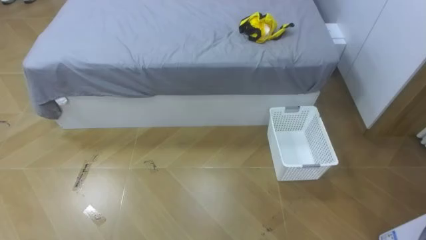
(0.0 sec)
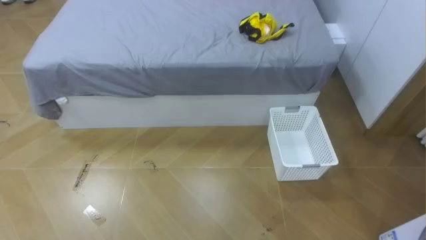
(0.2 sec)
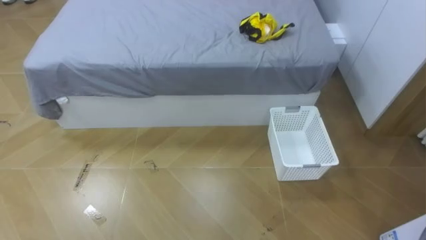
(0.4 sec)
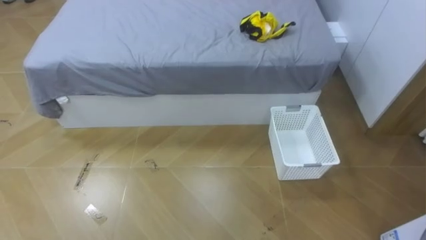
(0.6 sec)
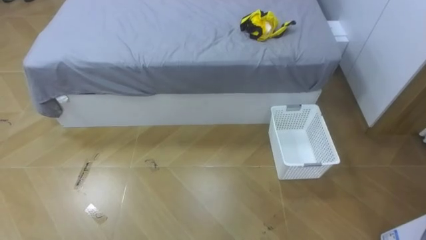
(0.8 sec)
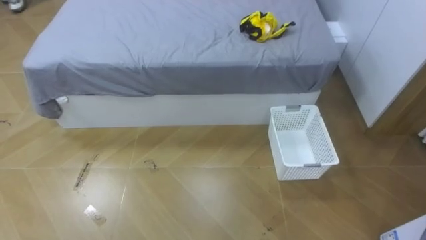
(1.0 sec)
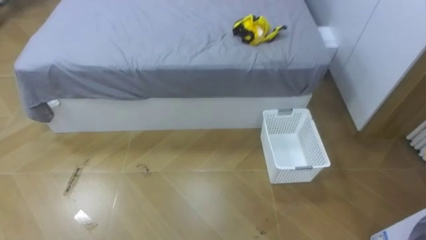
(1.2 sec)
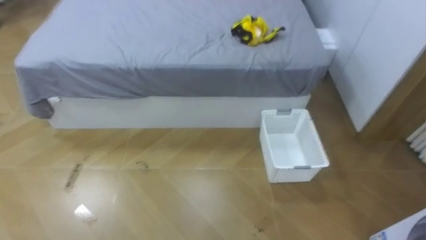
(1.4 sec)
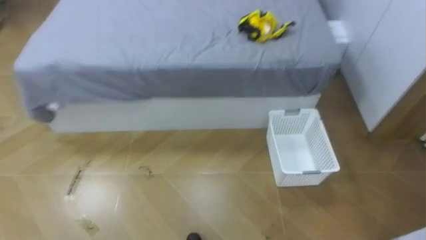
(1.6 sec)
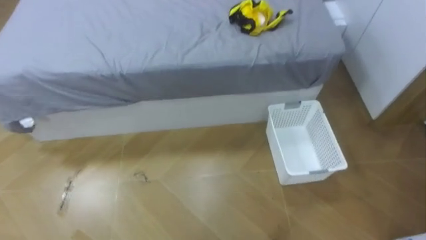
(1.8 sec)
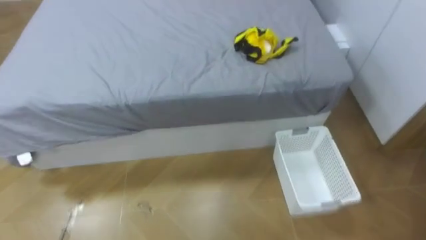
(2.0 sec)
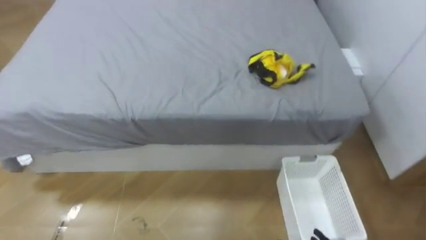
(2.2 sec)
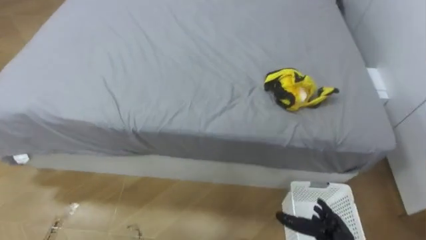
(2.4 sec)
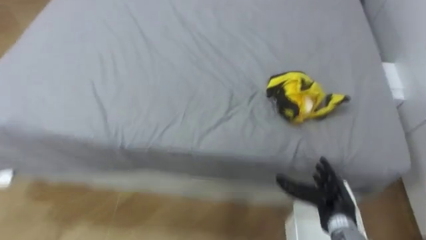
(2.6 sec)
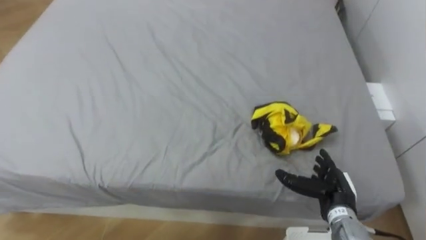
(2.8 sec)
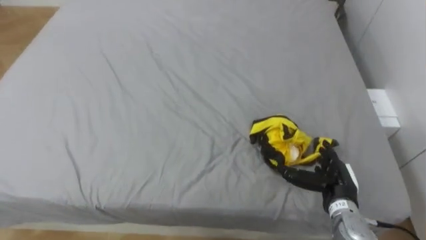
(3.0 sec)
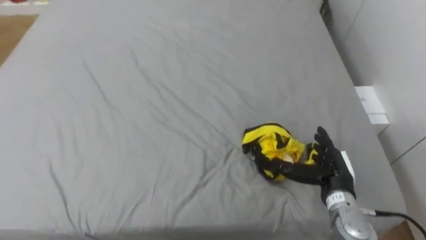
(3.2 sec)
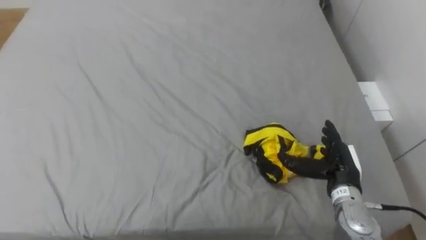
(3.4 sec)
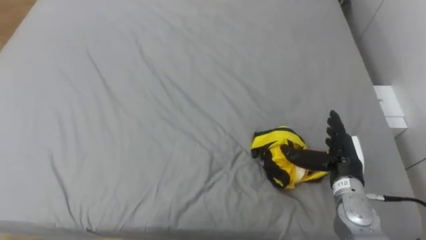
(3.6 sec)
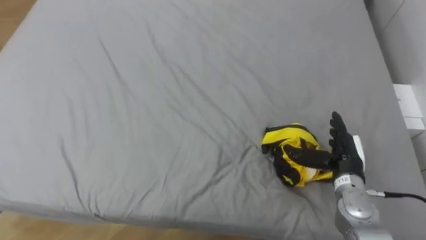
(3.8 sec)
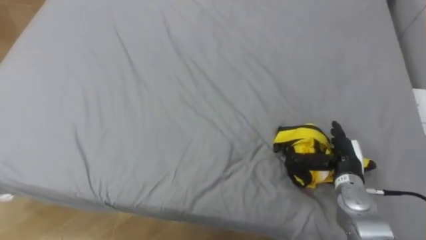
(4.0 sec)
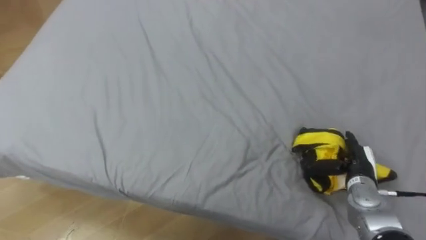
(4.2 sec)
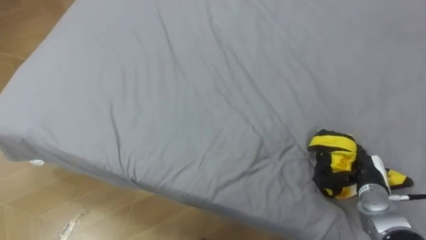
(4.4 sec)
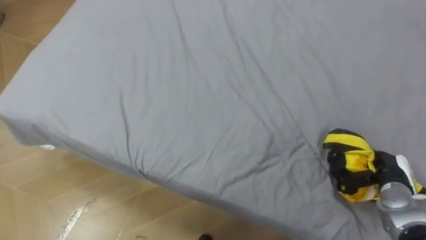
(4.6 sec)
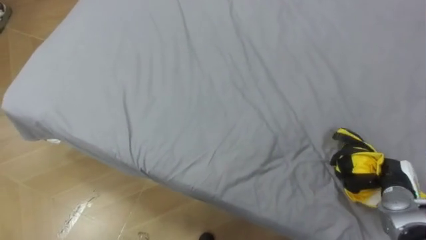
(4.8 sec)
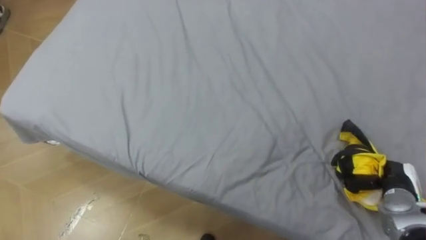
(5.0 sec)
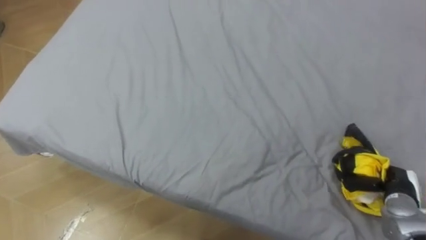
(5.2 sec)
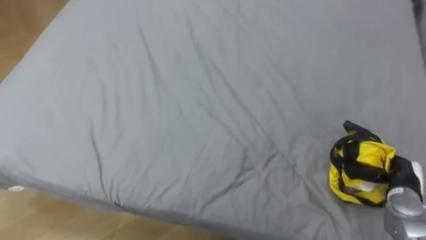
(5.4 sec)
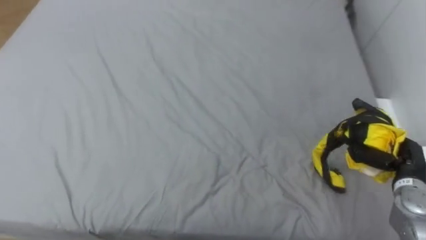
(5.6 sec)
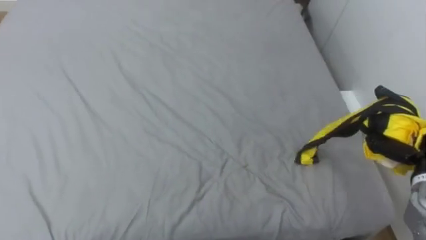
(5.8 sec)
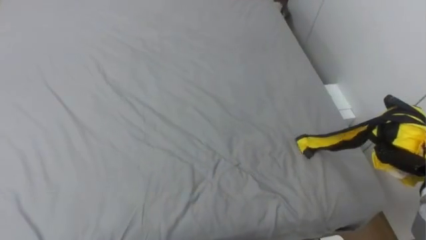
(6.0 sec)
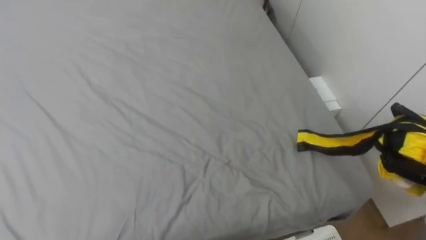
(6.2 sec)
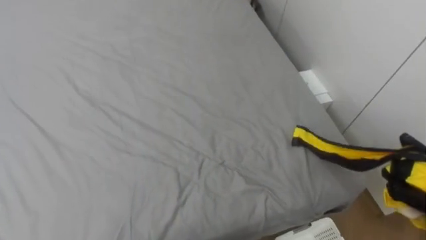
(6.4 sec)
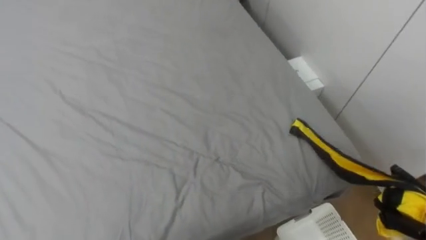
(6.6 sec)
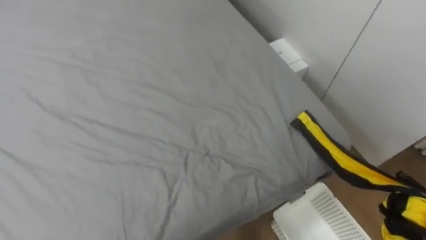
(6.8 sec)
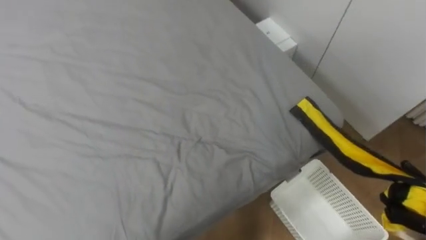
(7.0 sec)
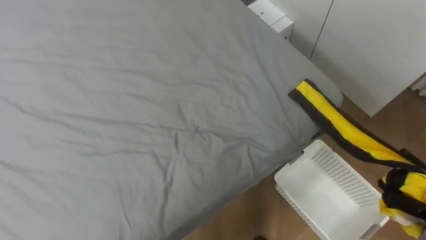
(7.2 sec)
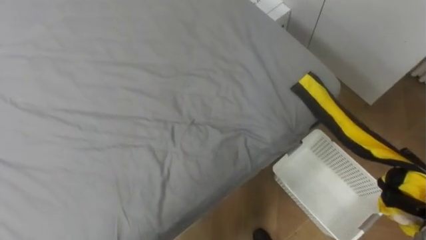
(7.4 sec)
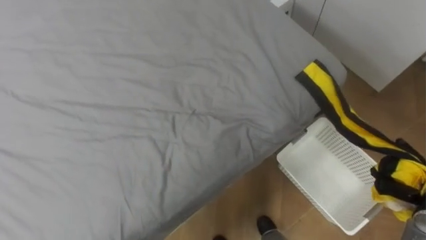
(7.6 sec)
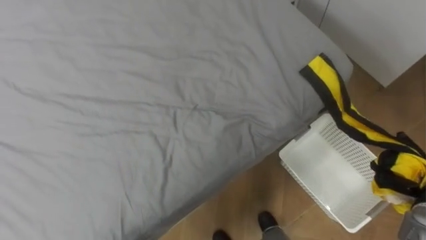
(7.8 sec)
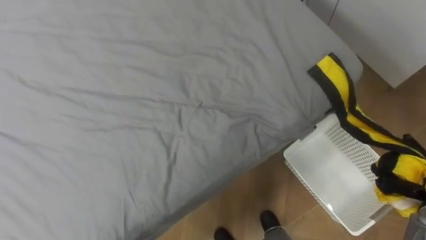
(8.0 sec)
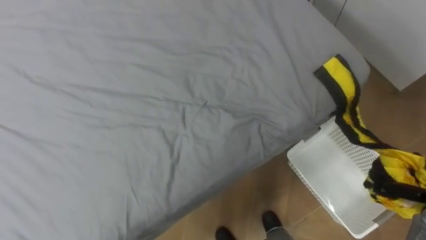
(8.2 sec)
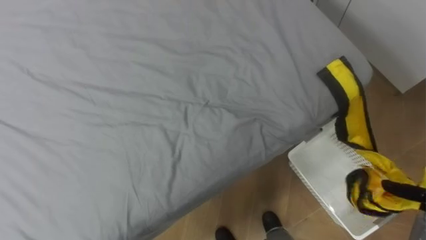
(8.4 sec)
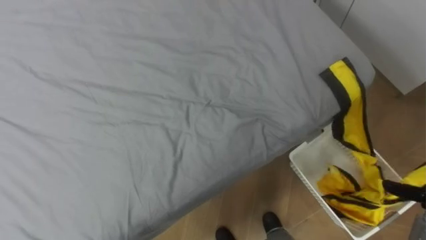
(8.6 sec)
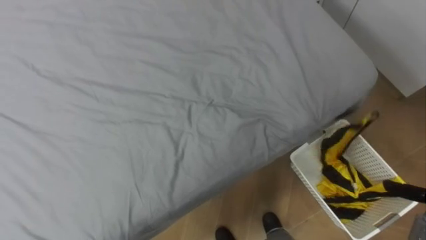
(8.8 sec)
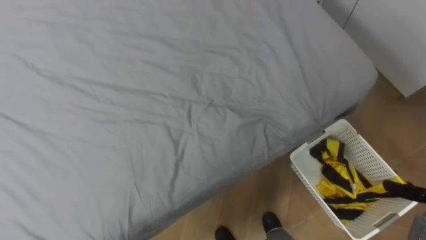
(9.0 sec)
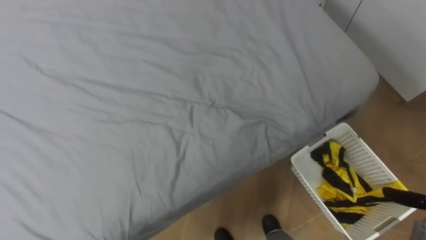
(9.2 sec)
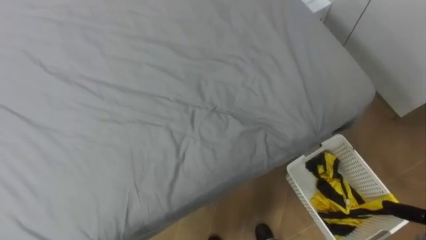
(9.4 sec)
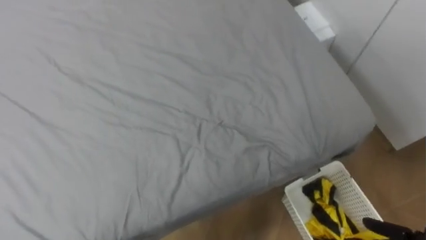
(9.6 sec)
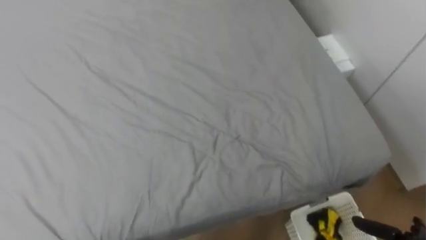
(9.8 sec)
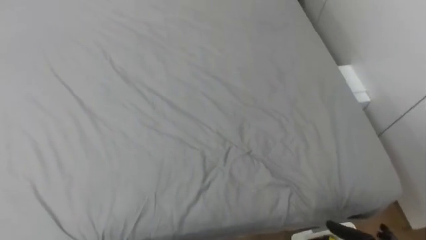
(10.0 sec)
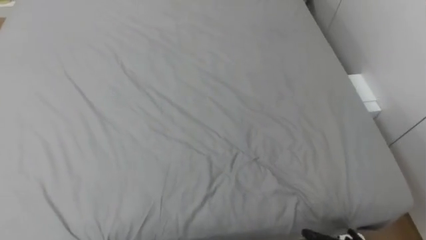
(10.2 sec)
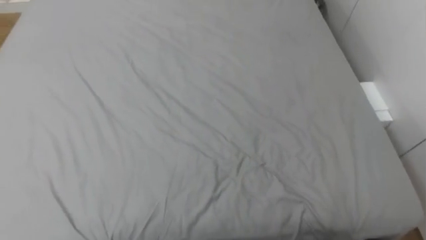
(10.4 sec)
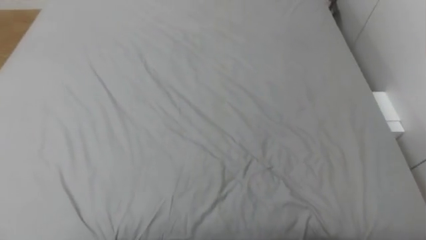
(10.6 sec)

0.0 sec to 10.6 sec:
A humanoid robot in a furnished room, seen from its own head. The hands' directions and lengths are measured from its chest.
Task of the whole recording: Pick up the yellow clothes on the bed and place them into the white basket on the right.
3.0 sec to 4.6 sec: The right hand is displaced to the right by some 10 cm.
6.0 sec to 7.6 sec: The robot's body swings about 15 degrees to its right.
9.0 sec to 10.6 sec: The robot turns to its left by roughly 20 degrees.

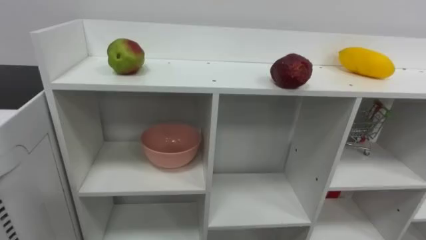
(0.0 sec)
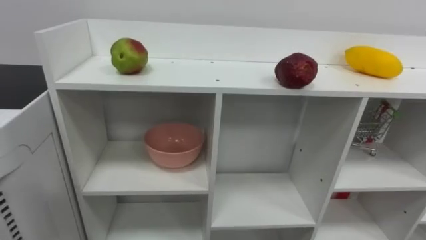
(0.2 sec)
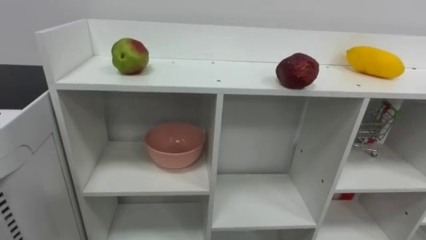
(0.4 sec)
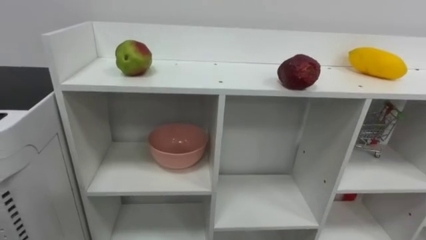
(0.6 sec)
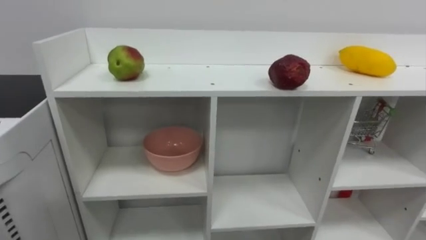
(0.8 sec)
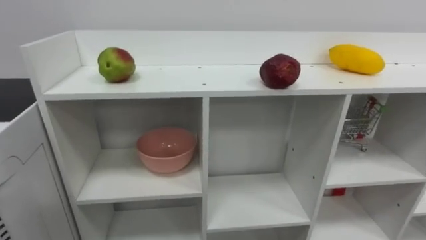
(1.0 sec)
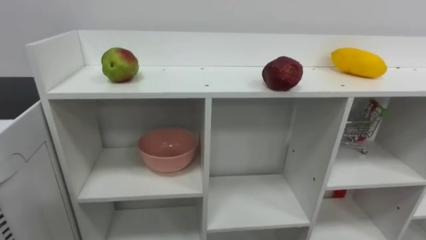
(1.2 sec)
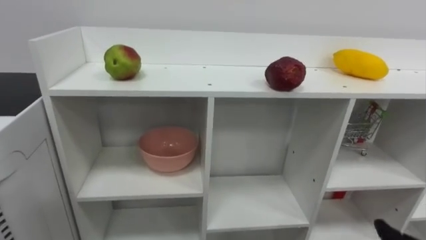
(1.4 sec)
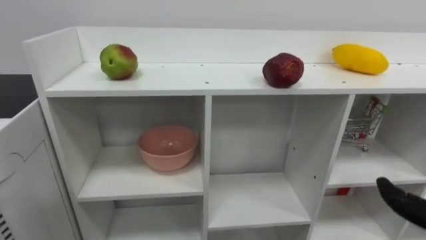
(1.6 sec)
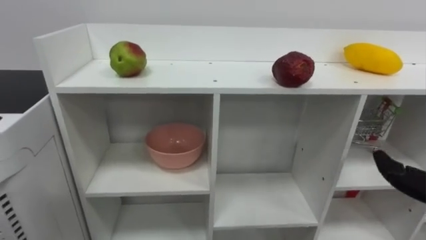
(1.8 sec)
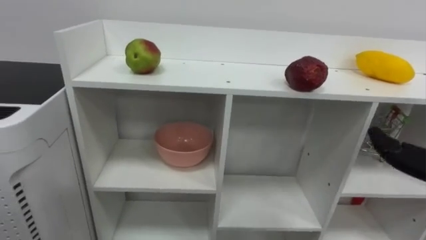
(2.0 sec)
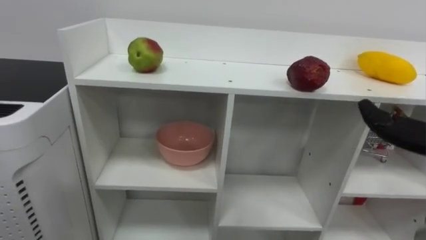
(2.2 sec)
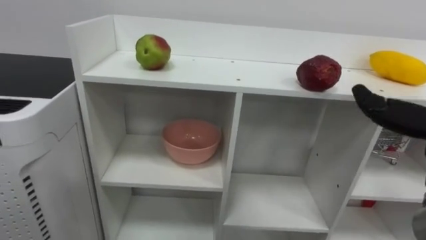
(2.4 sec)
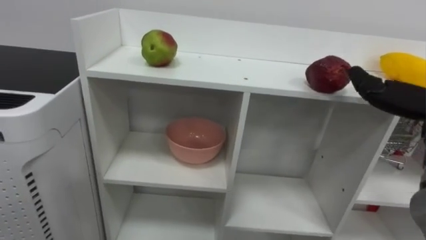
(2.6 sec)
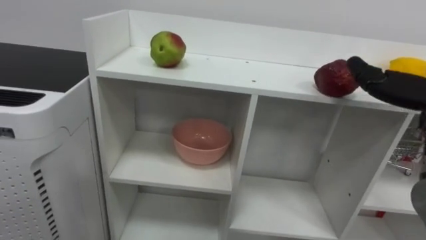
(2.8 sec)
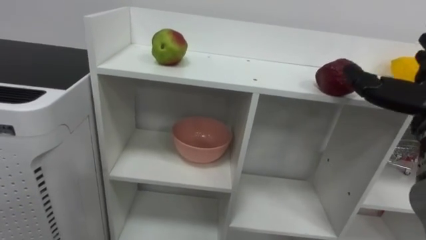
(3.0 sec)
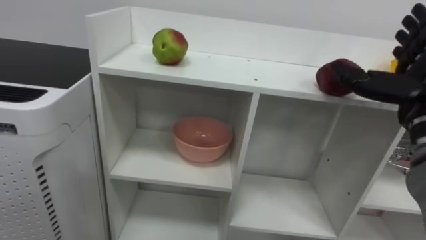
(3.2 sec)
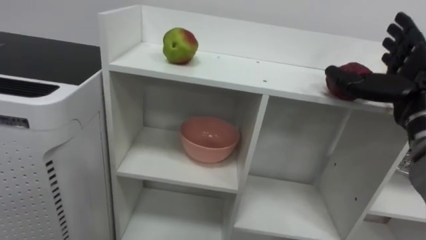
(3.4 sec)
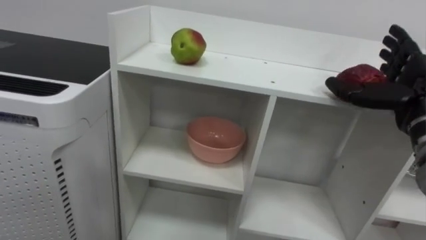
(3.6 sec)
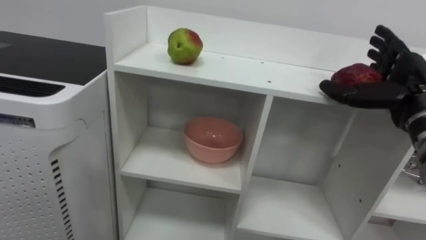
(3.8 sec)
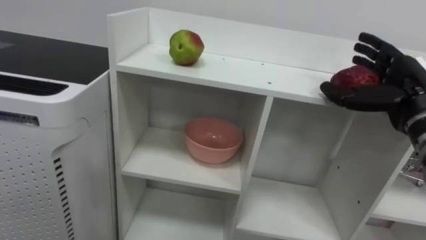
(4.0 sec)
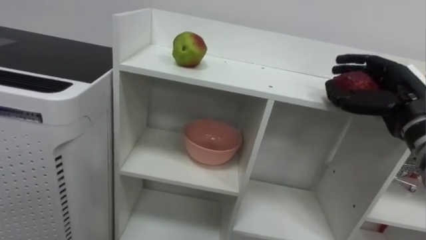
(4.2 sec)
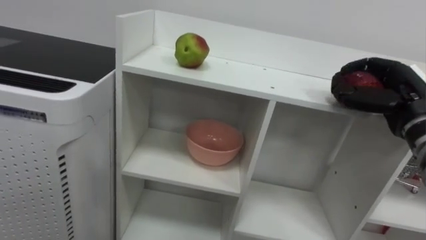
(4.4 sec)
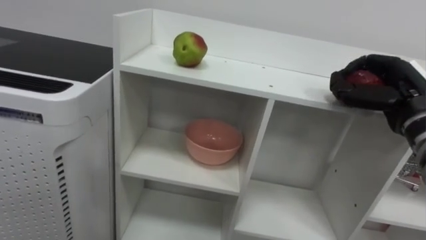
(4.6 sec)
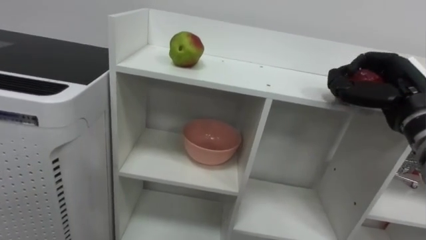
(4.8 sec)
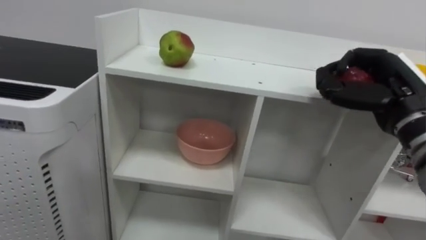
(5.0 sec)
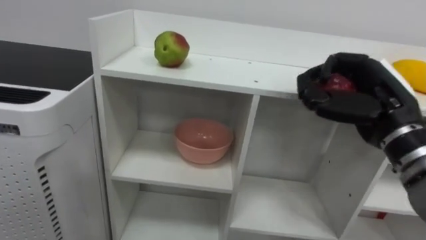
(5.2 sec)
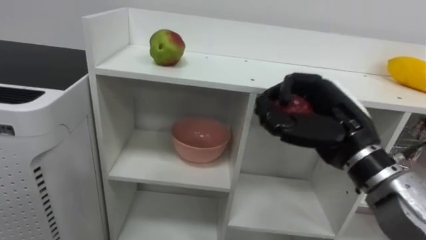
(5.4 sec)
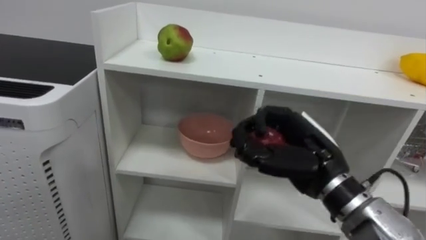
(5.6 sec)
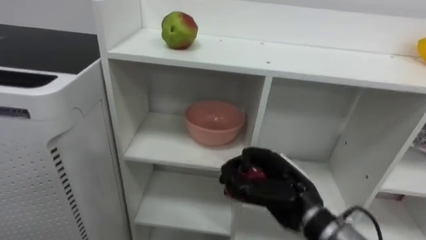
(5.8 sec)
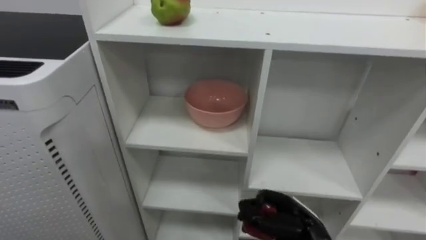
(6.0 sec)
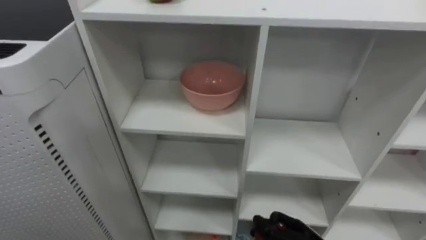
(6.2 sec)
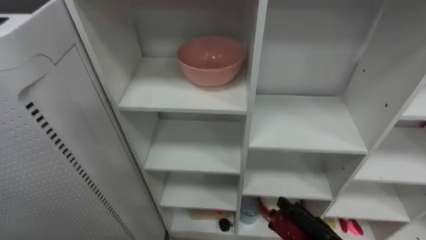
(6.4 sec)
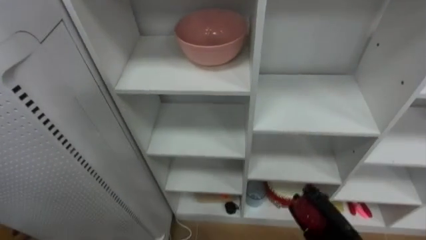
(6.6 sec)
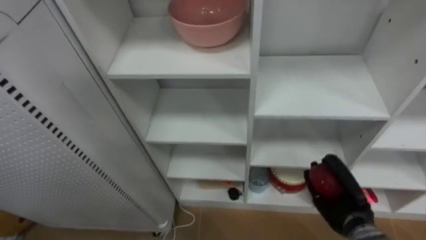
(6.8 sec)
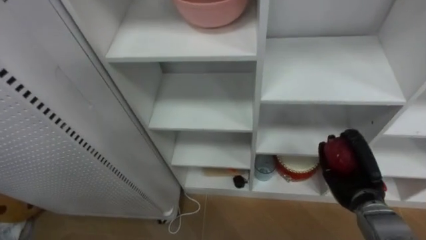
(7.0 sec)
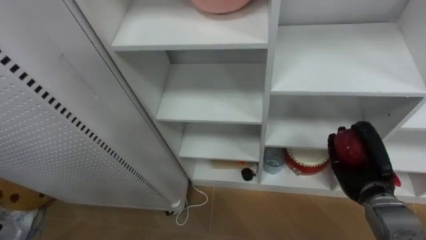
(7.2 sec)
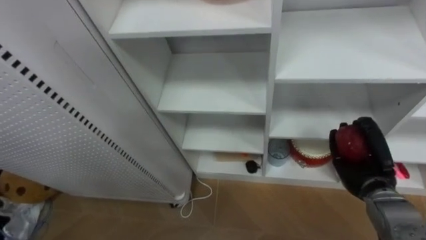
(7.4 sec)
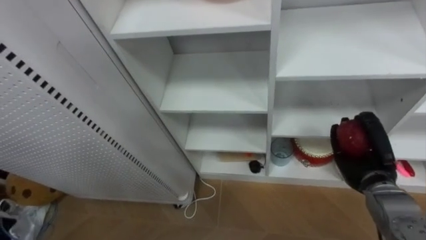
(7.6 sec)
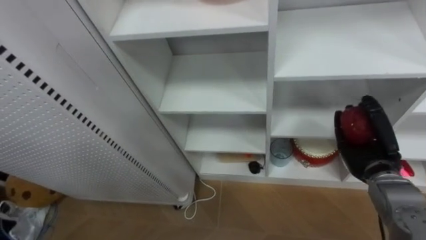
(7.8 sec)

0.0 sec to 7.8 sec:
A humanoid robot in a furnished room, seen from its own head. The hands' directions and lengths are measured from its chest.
Task of the whole recording: Put the apple in the cell in the second column from the left and the second row from the top.
3.2 sec to 4.6 sec: The right hand moves roughly 5 cm, and closes.
